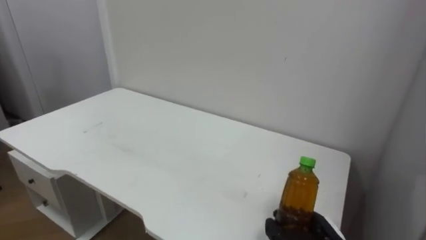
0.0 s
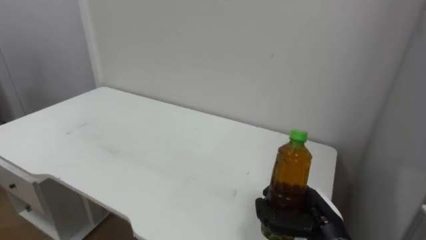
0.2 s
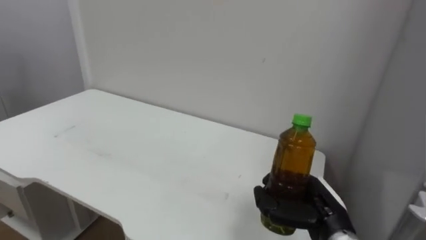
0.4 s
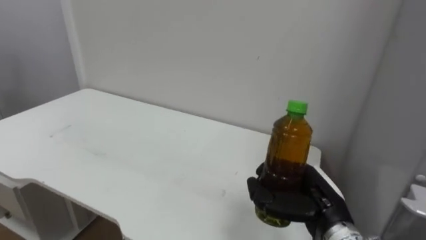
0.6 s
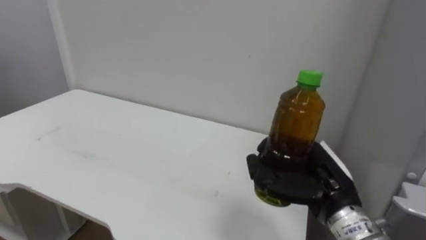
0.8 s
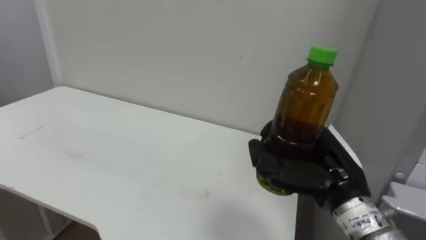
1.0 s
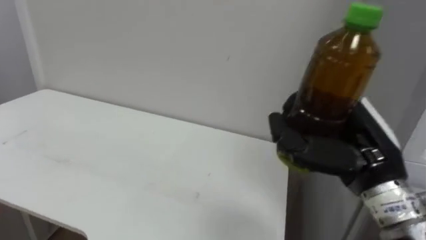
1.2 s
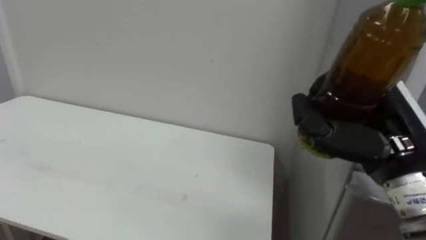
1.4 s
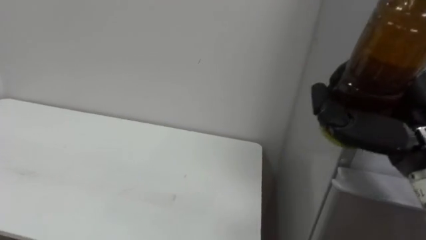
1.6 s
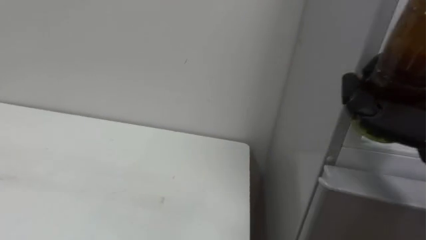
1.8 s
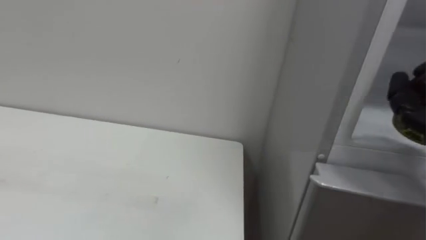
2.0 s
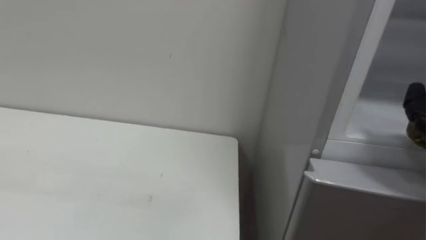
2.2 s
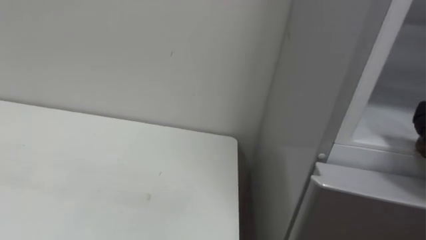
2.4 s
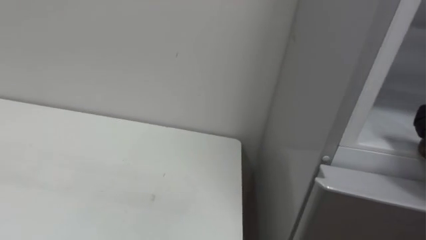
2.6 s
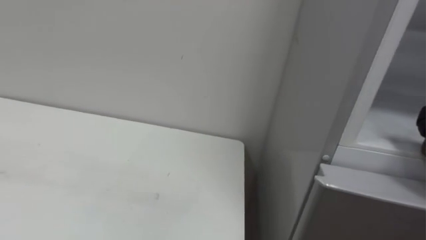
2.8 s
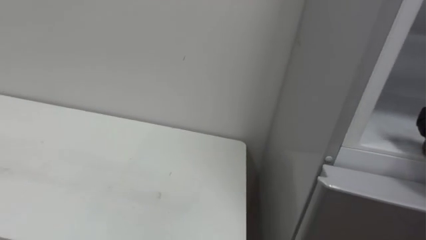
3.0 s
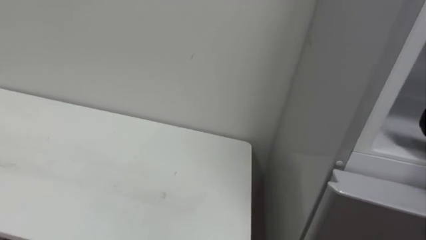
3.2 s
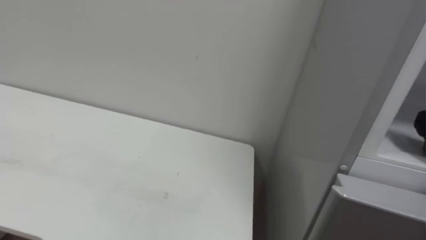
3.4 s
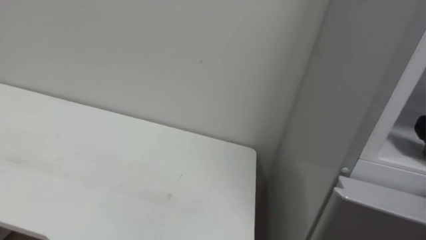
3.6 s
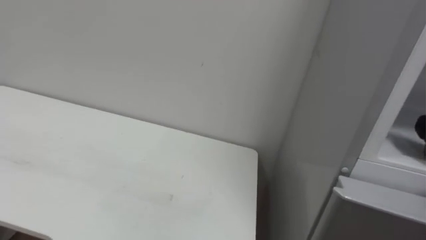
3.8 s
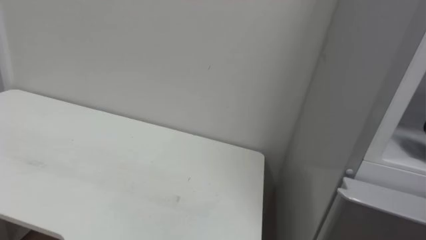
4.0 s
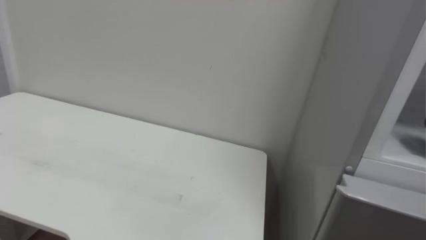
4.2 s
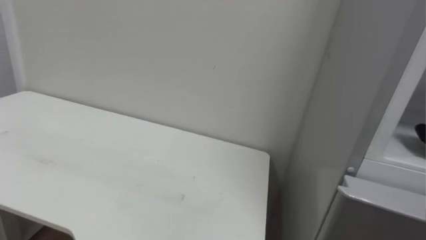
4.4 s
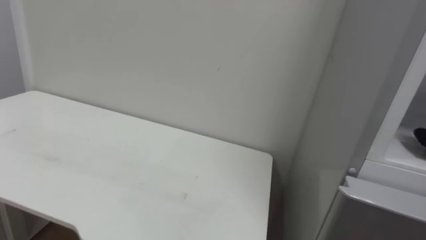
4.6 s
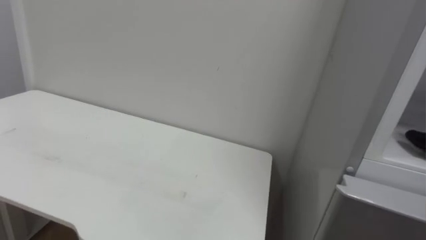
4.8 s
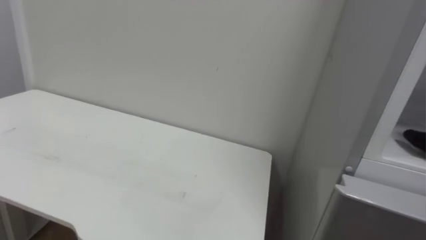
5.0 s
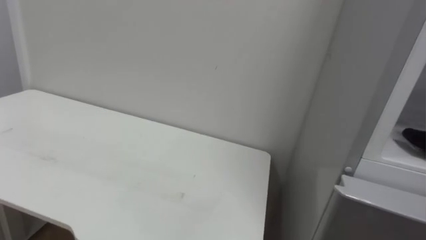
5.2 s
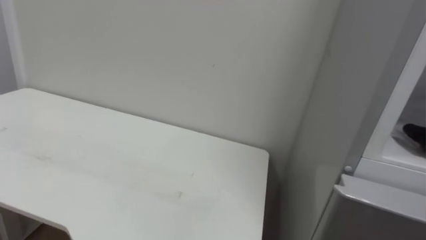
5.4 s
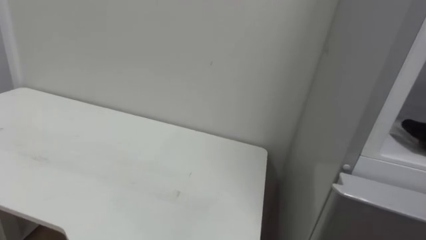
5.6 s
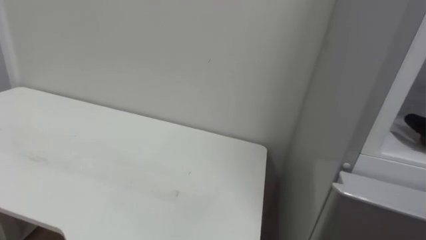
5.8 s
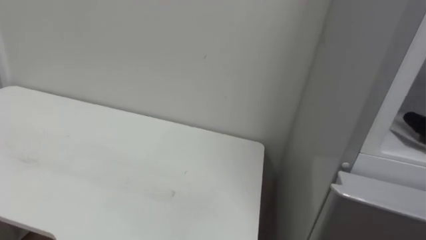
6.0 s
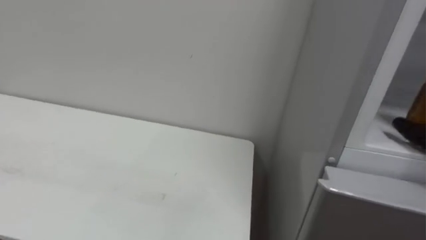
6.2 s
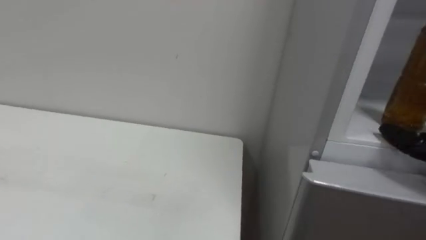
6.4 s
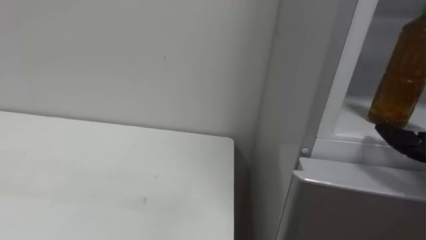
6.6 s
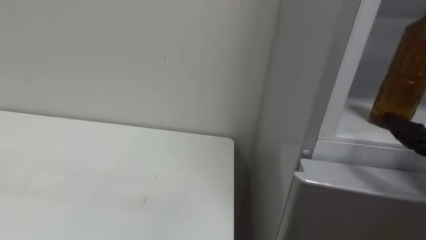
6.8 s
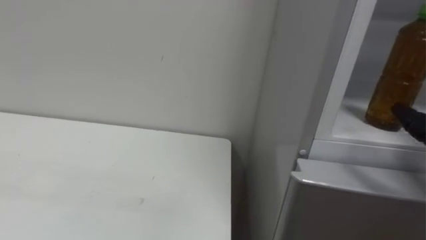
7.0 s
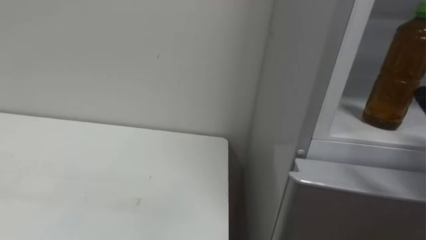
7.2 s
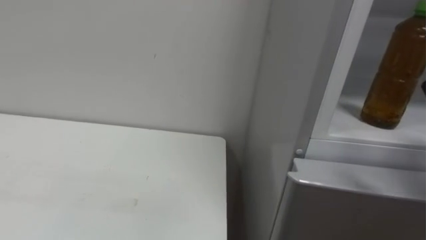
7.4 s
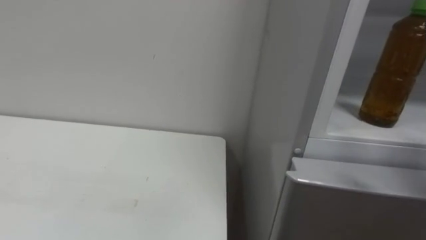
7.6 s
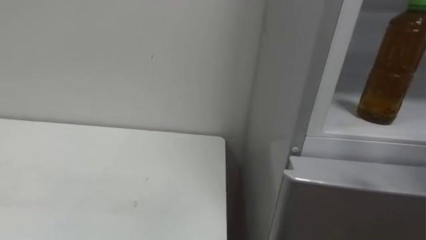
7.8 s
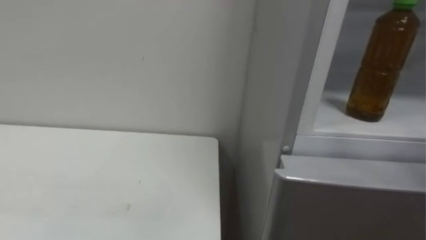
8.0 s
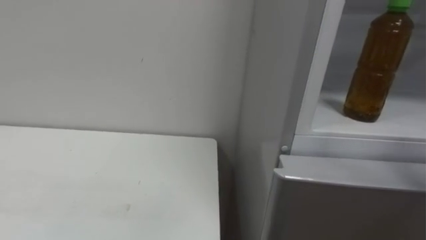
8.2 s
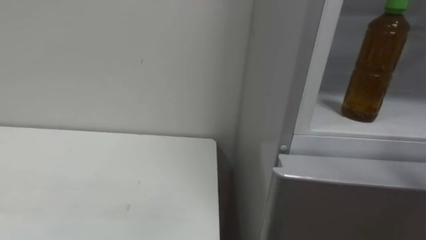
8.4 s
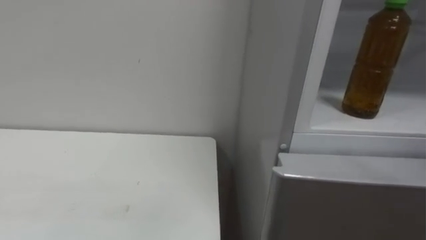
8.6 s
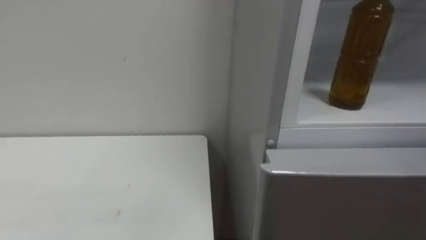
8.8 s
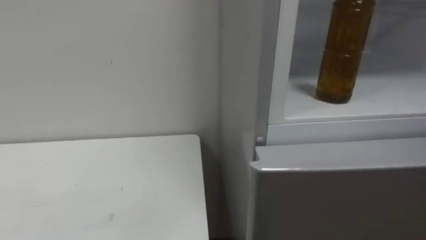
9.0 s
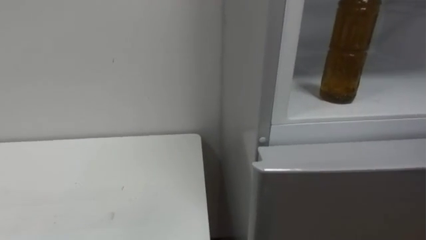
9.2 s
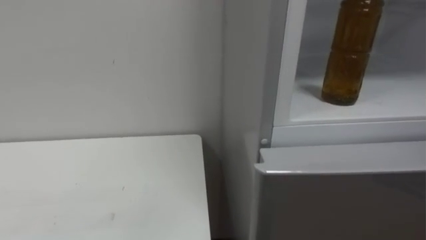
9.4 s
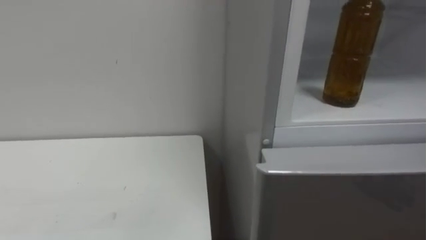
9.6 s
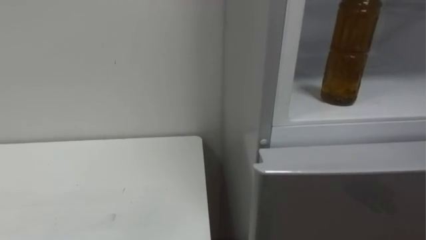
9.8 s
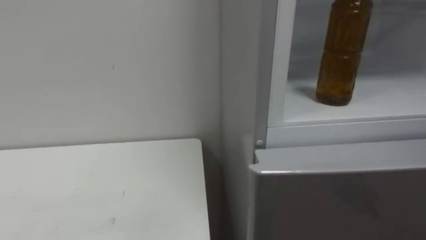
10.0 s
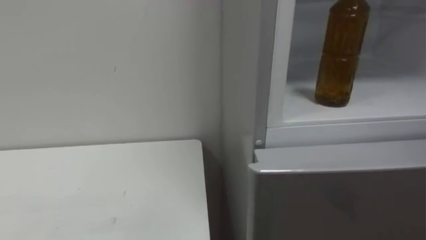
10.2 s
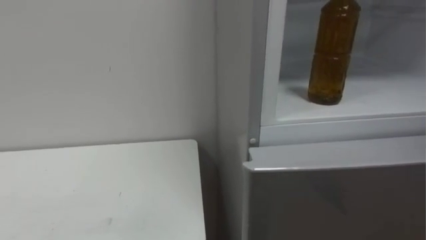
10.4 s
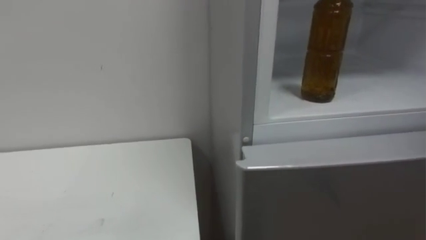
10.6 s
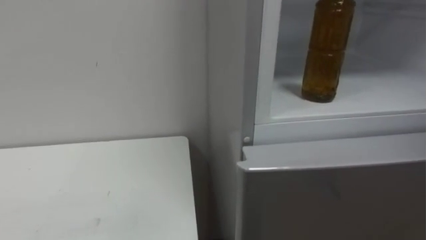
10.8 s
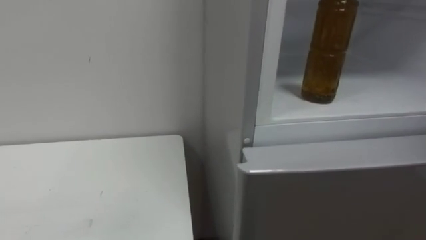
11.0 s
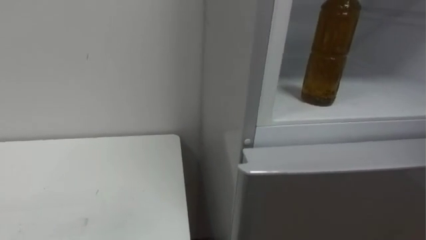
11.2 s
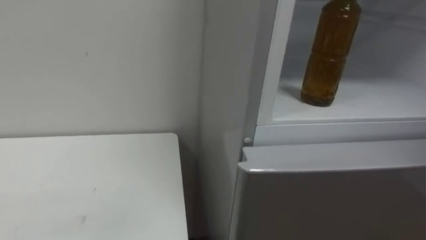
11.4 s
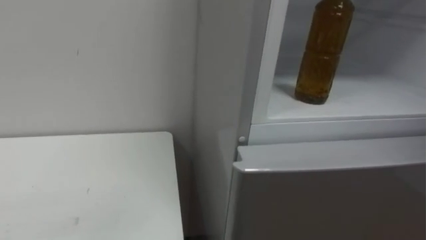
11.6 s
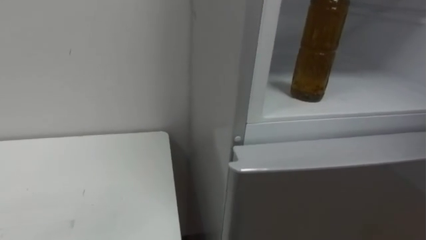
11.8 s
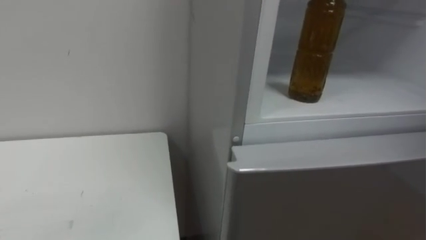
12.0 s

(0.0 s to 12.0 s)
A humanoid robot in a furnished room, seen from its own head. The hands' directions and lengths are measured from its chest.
Task of the whole recording: Open the upper refrigerator door, put the drink from the table into the refrigerator, and then close the refrigerator door.
0.0 s - 1.6 s: The right hand shifts some 30 cm upward.

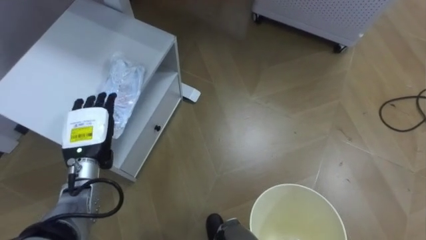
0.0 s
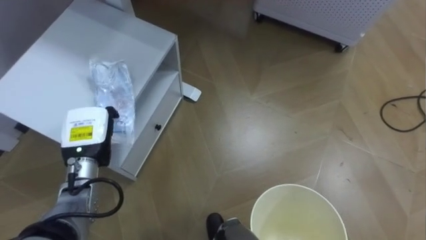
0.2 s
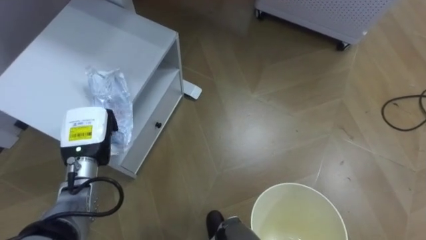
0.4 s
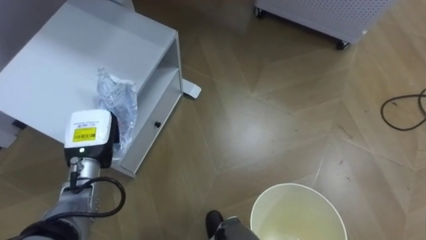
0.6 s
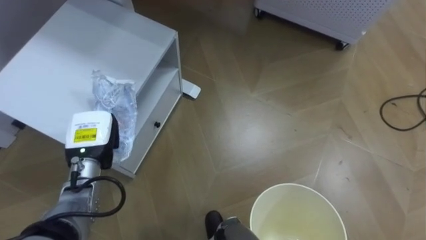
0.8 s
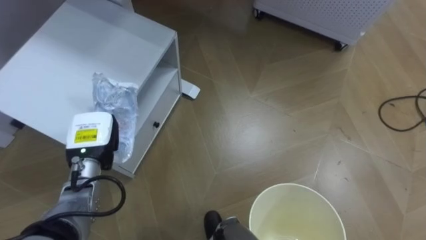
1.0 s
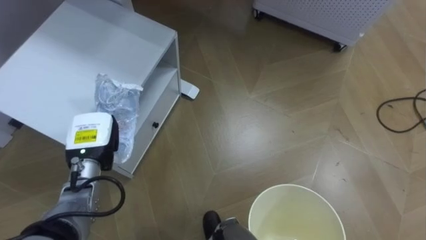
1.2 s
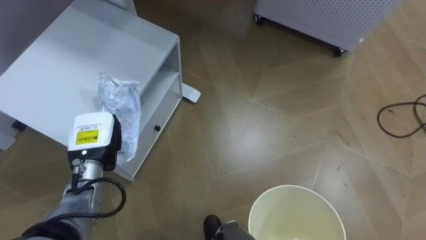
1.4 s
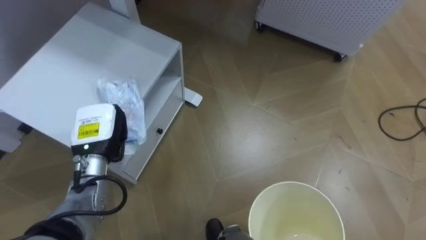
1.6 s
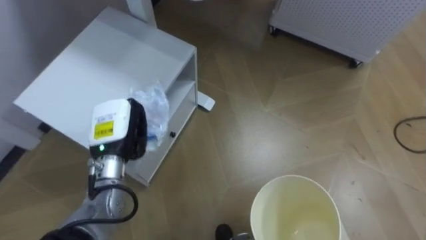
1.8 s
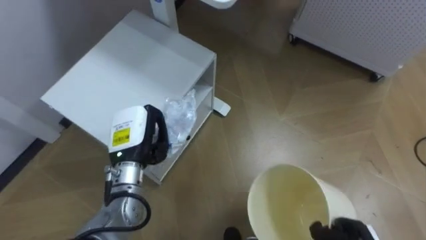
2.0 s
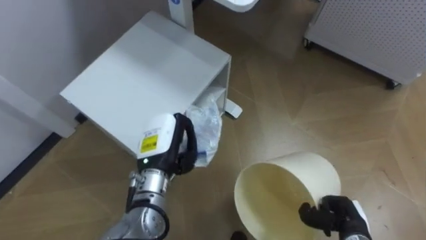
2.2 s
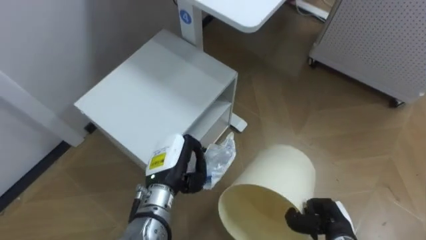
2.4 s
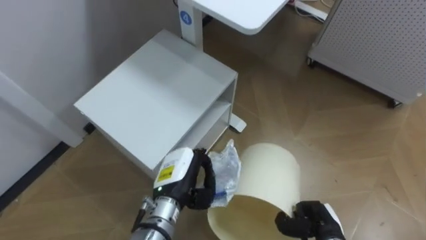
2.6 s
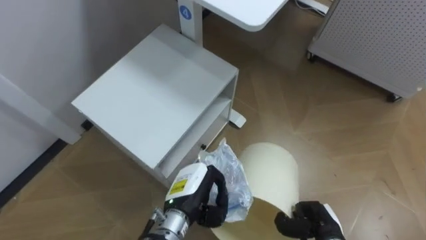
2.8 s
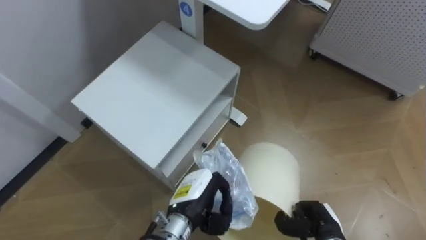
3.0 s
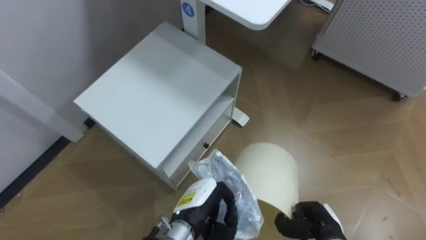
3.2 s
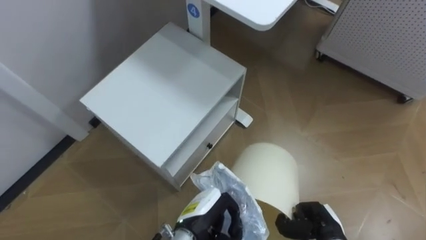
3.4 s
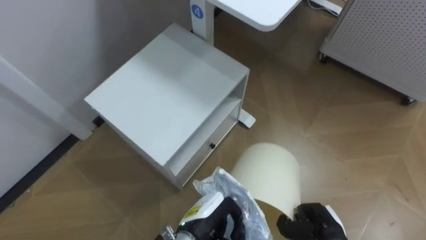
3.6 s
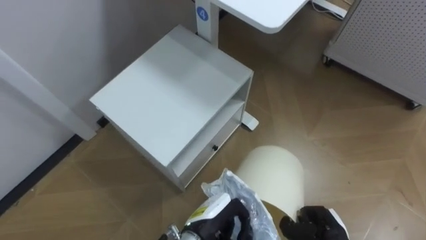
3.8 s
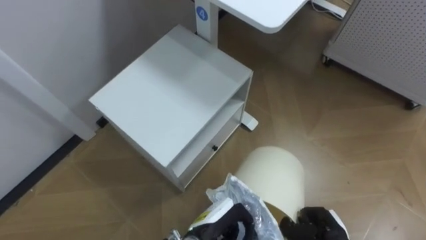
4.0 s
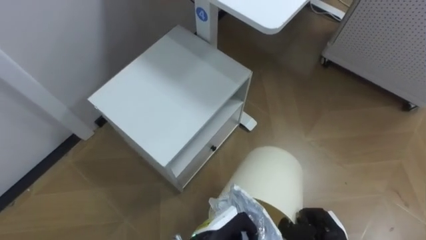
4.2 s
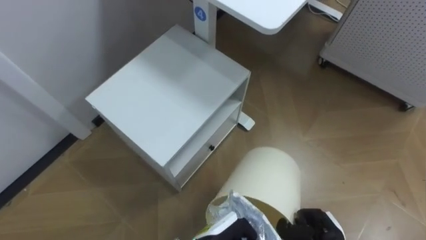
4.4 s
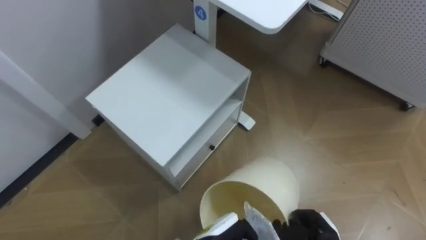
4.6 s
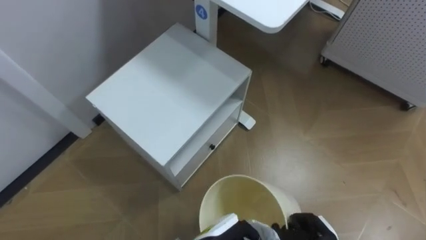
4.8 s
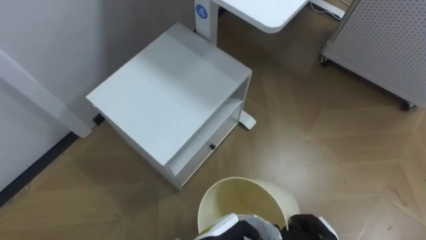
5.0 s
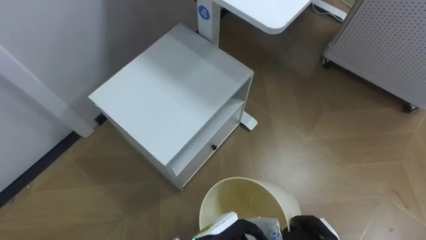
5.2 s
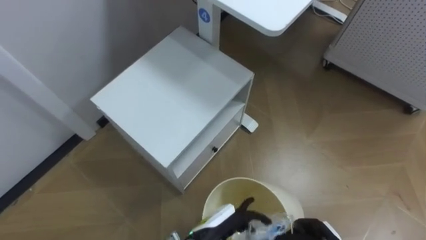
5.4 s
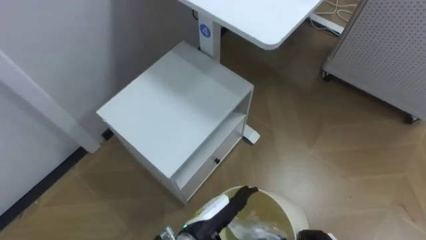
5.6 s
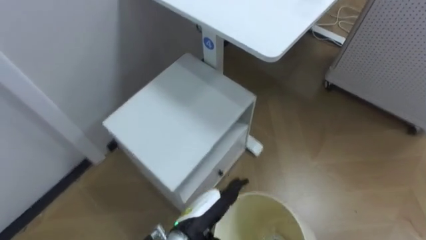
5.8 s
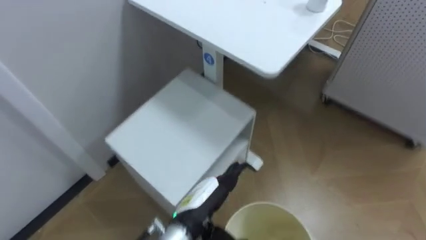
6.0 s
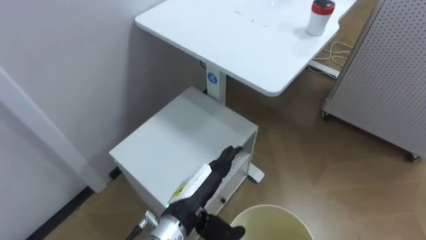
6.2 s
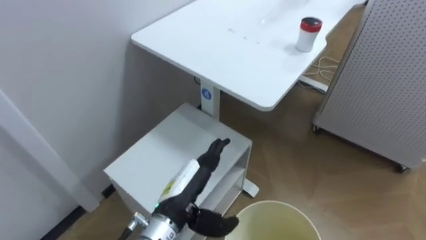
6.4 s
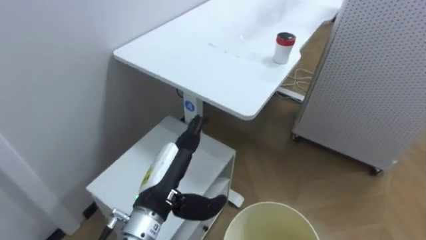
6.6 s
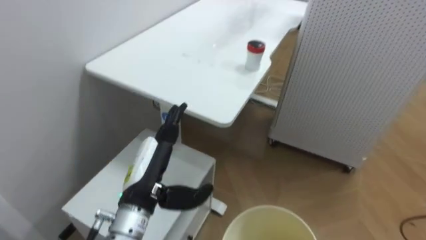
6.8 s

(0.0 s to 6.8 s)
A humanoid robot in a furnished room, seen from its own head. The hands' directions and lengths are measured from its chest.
Task of the whole recording: Pick up the light blue package, the candy box, and the dark blue package separately, and put them into the trash can held in your right hand.
0.0 s - 1.4 s: The left hand closes.
1.4 s - 2.8 s: The left hand goes about 20 cm to the right.
2.8 s - 4.0 s: The left hand shifts approximately 5 cm backward.
4.0 s - 5.4 s: The left hand opens.
5.4 s - 6.8 s: The left hand goes approximately 20 cm upward and to the left.
